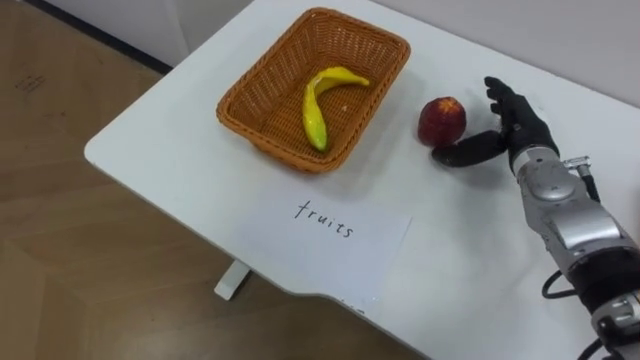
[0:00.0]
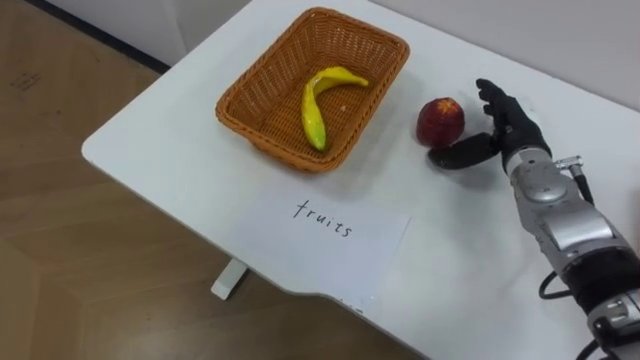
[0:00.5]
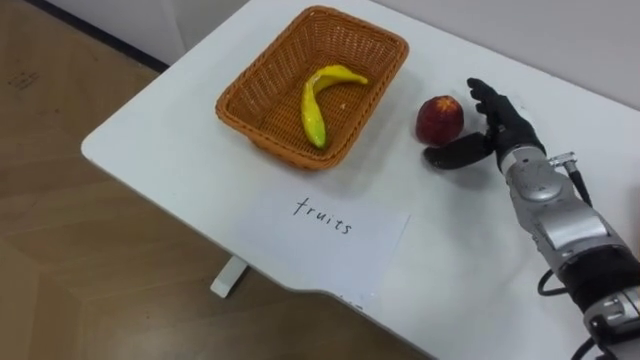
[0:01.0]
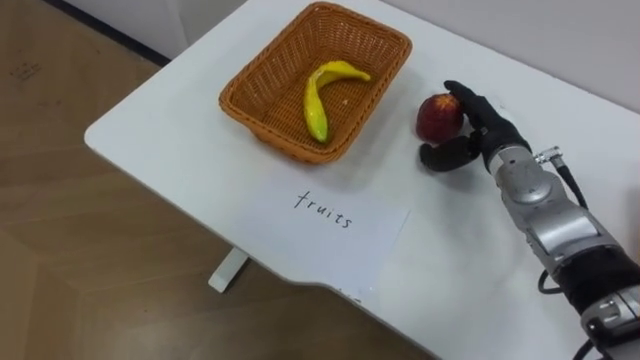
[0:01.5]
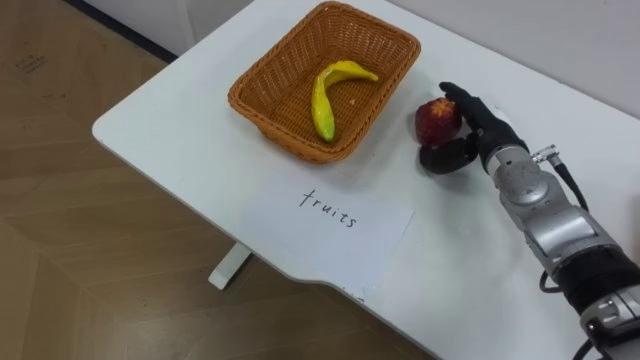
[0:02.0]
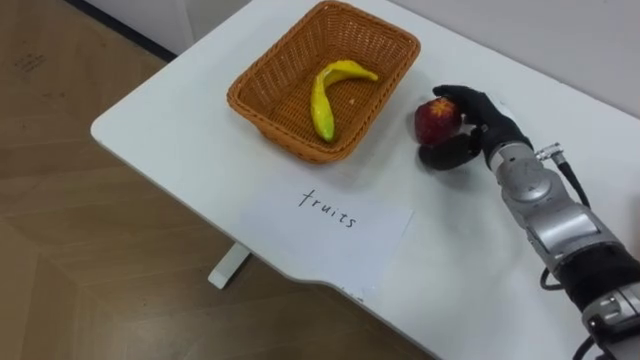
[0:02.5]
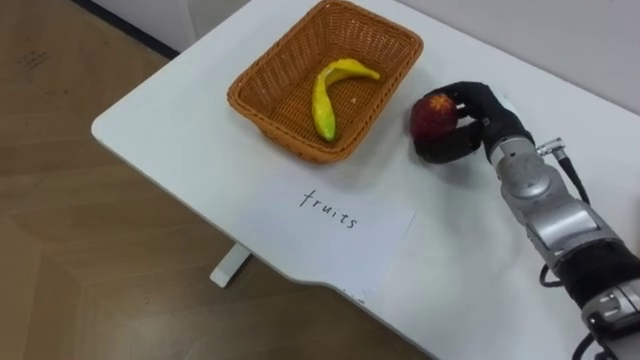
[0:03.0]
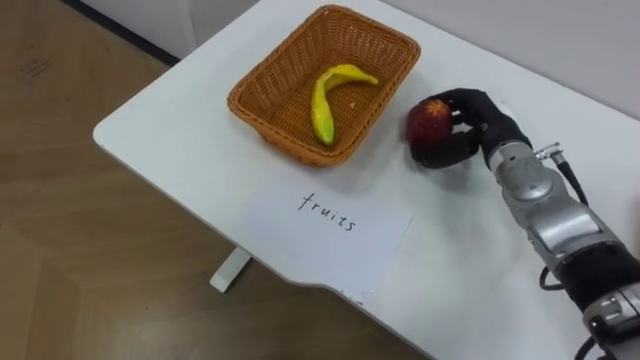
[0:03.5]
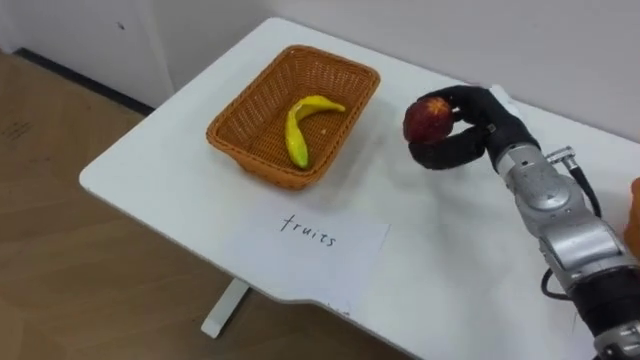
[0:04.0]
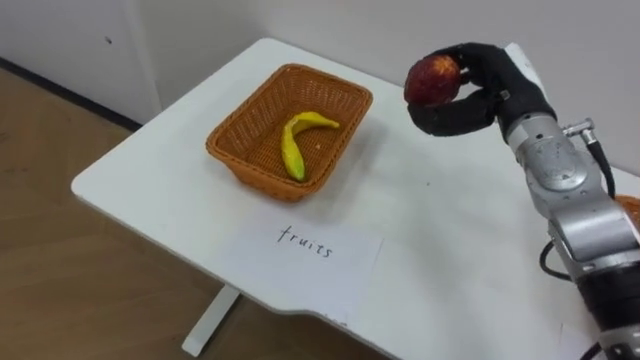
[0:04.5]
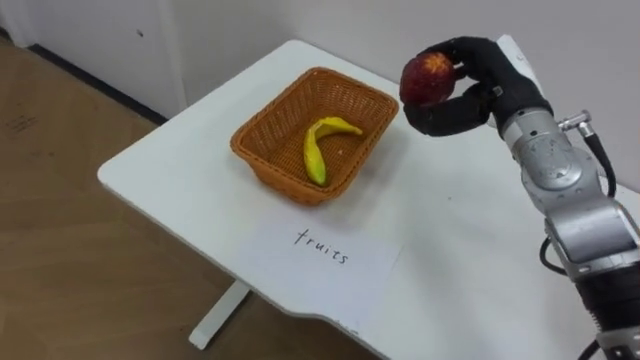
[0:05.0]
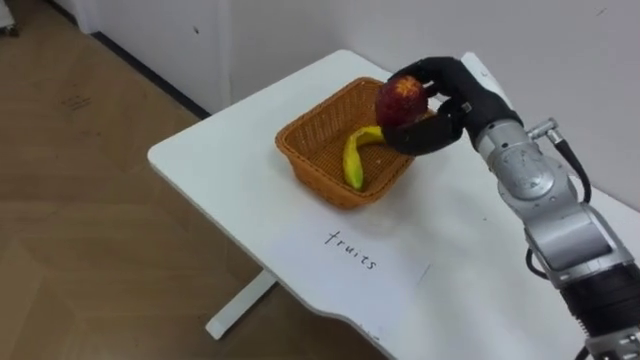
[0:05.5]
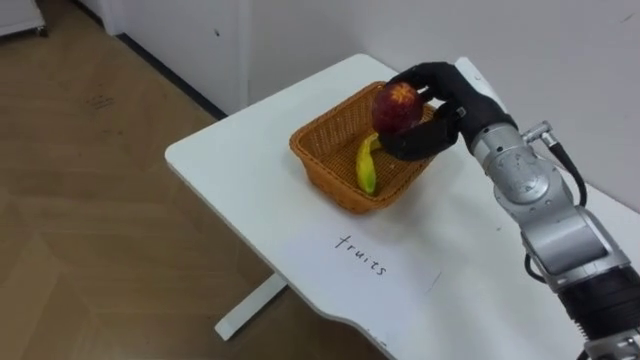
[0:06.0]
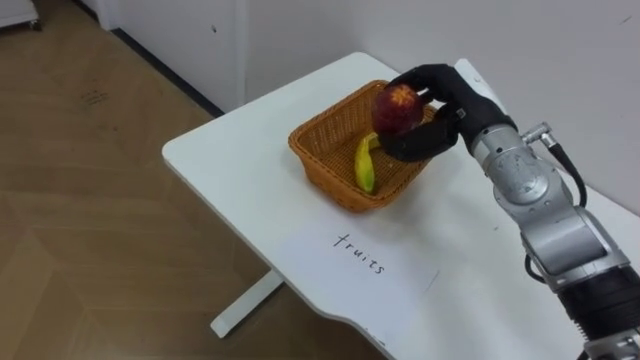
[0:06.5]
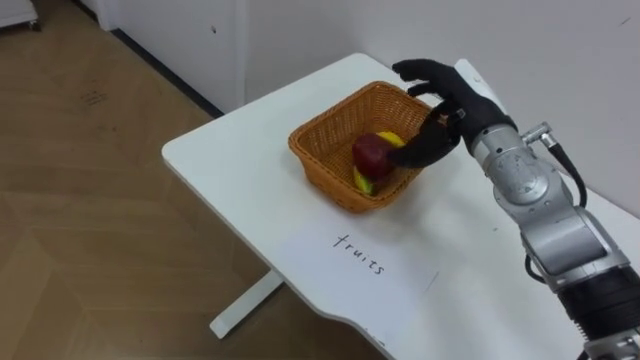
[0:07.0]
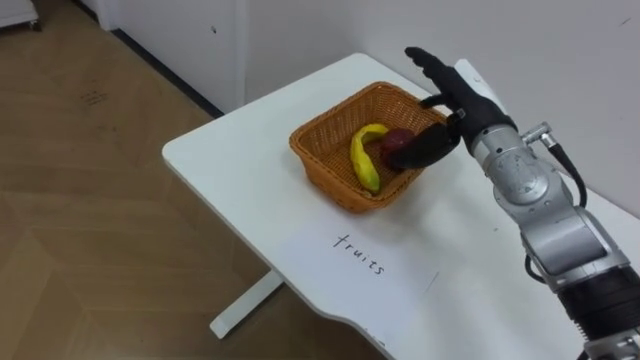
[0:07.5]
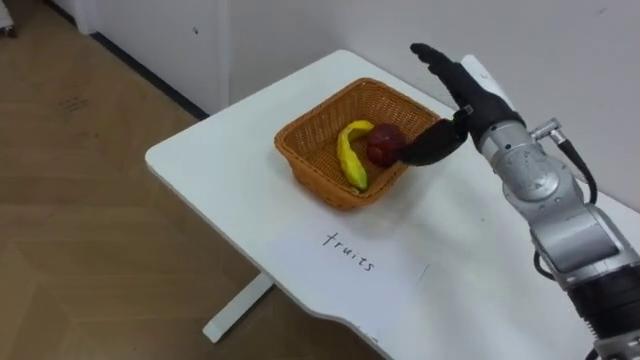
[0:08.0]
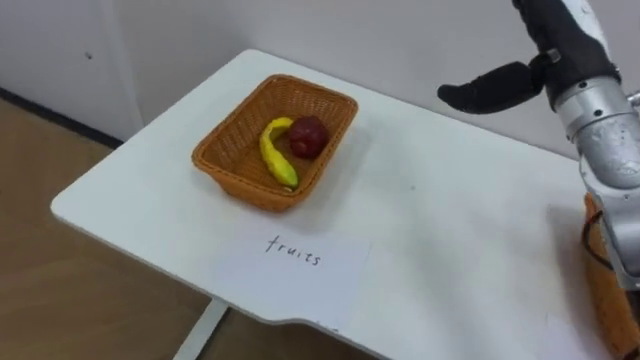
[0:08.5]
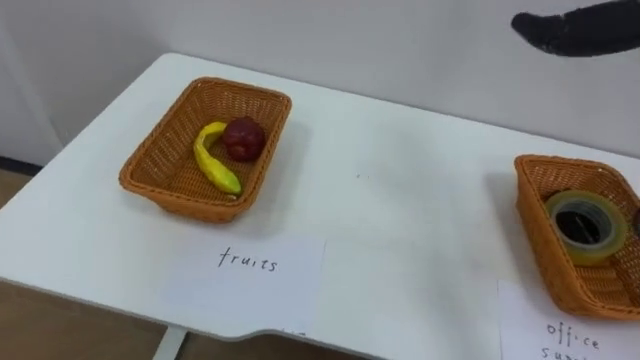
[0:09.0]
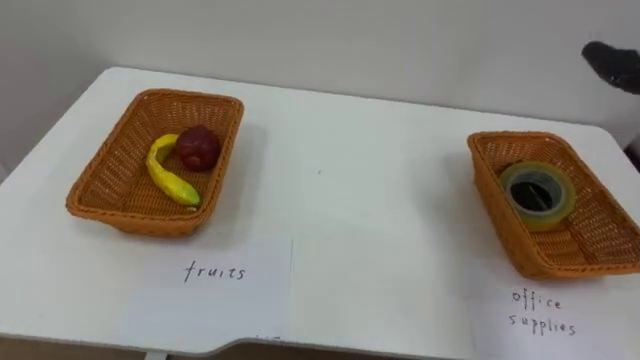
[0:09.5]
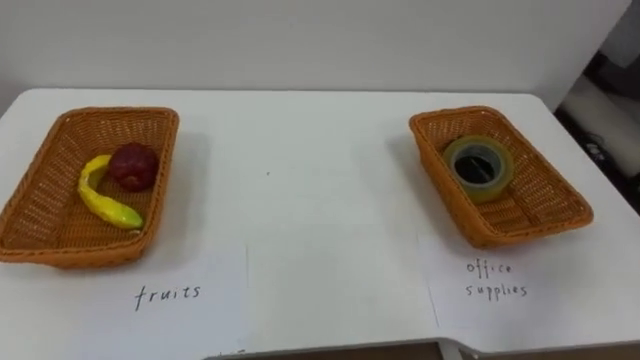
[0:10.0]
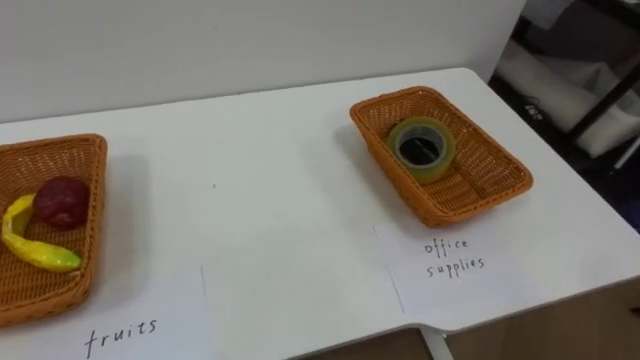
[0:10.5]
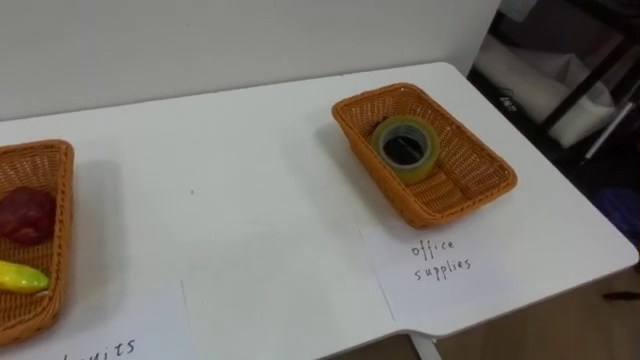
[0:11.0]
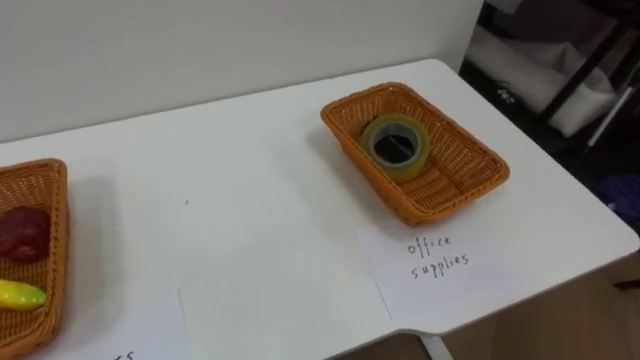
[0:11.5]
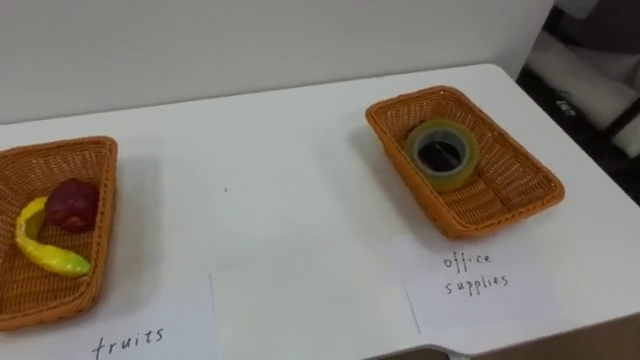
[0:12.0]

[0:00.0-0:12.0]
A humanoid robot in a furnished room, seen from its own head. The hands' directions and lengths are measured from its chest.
Task of the whole recording: Separate the items on the table and place them into the two baskets.
0:02.0 to 0:04.0: The right hand closes up.
0:04.0 to 0:06.0: The right hand shifts by some 5 cm.
0:06.0 to 0:08.0: The right hand opens.

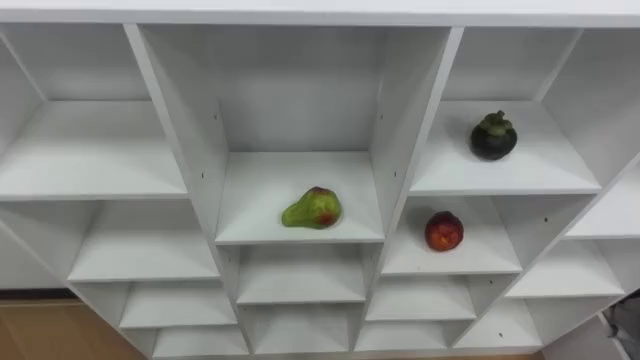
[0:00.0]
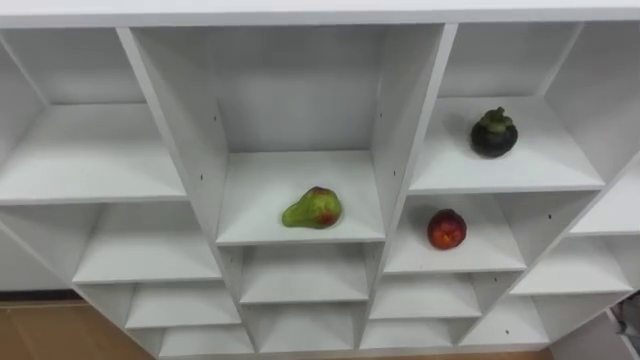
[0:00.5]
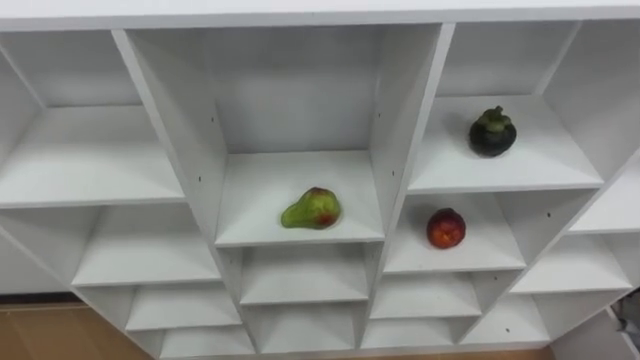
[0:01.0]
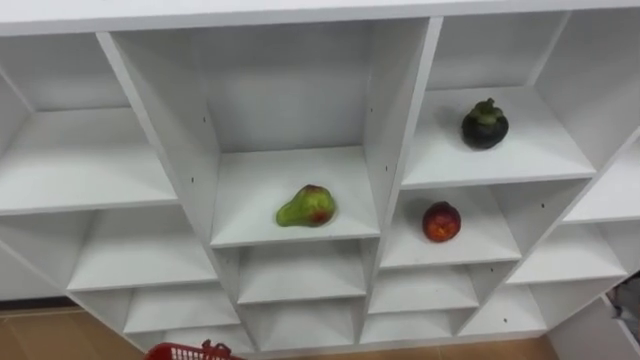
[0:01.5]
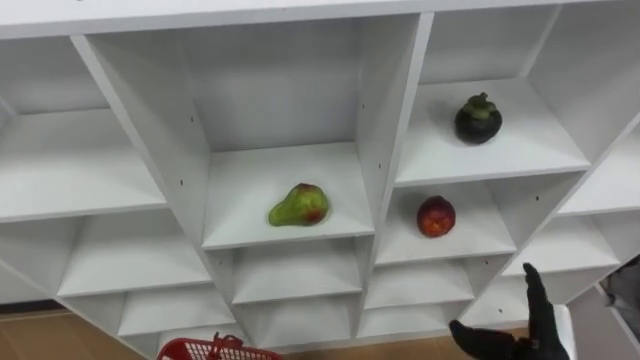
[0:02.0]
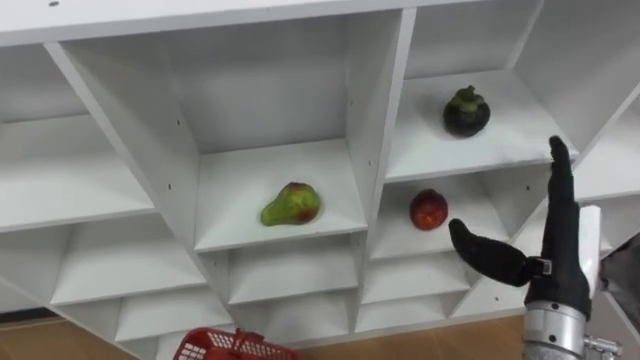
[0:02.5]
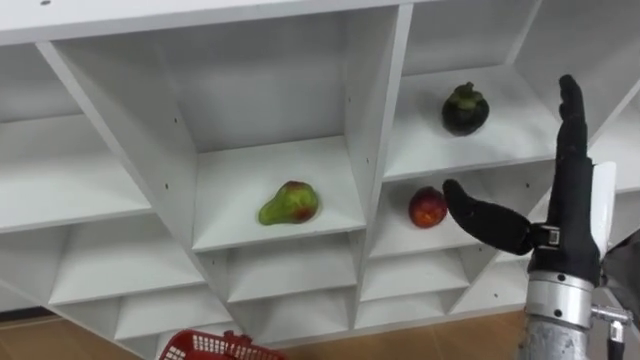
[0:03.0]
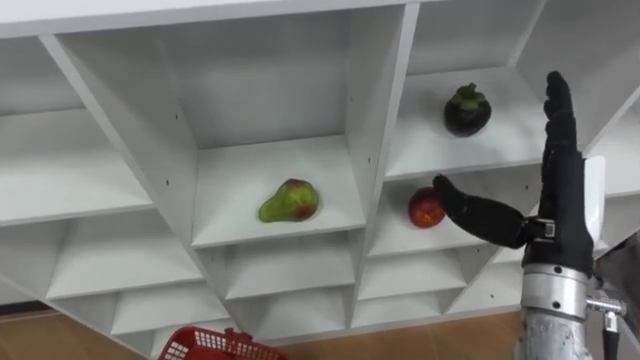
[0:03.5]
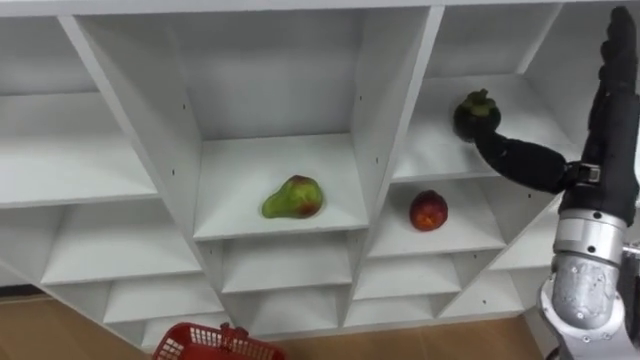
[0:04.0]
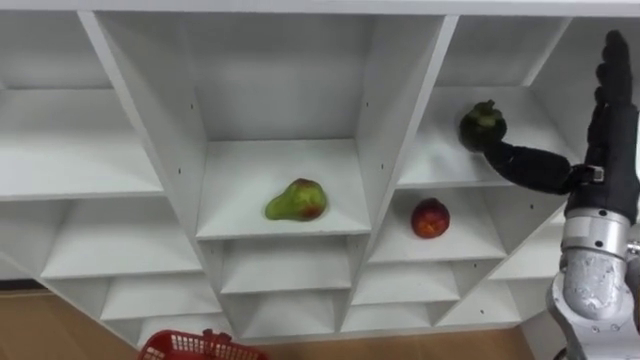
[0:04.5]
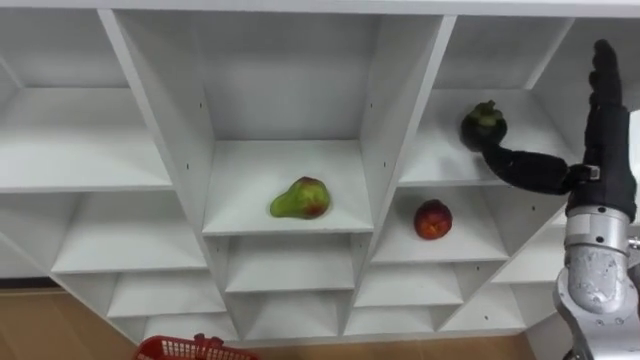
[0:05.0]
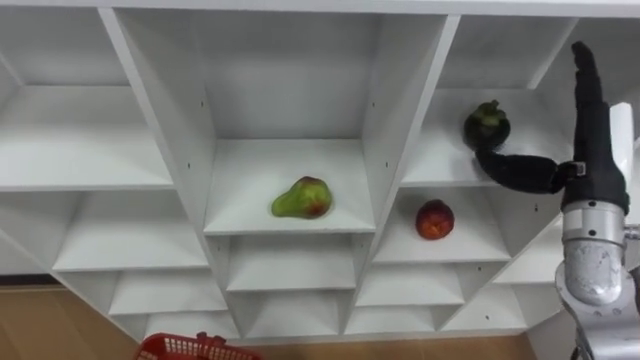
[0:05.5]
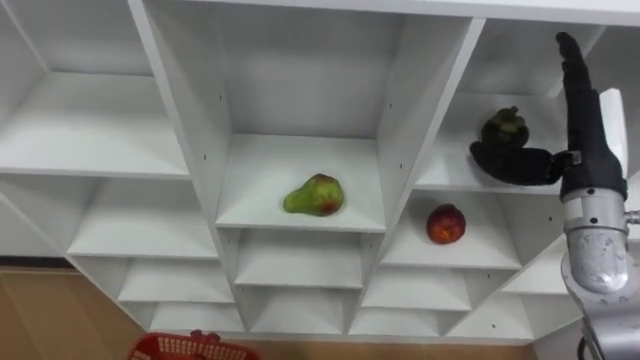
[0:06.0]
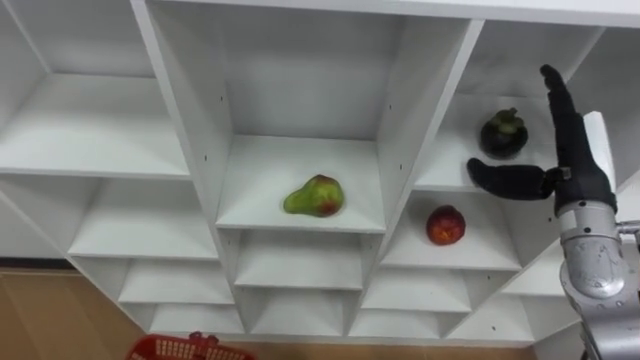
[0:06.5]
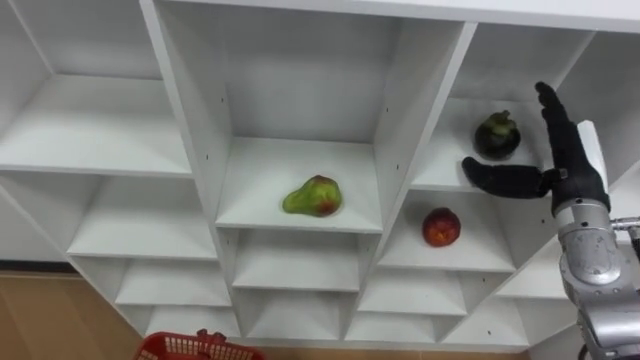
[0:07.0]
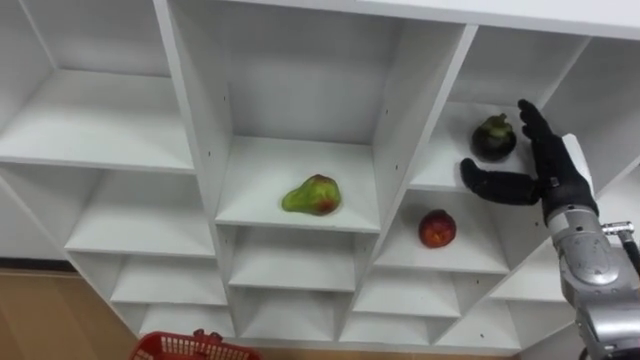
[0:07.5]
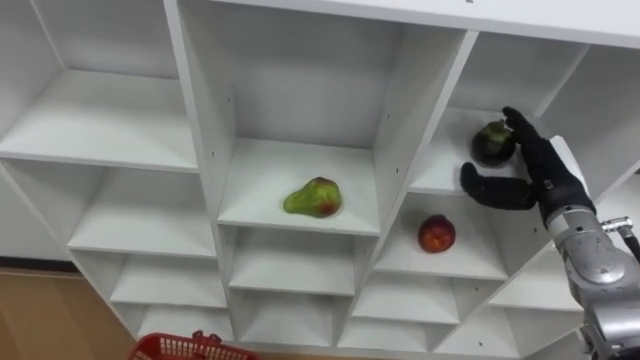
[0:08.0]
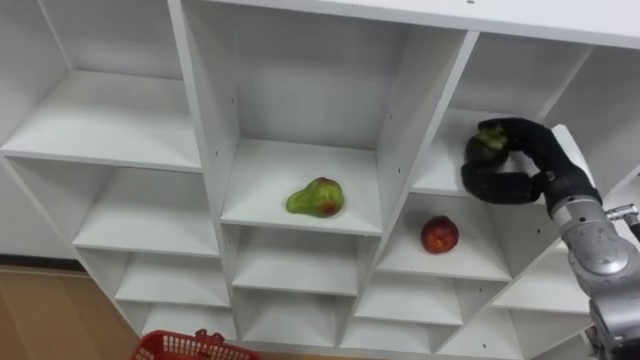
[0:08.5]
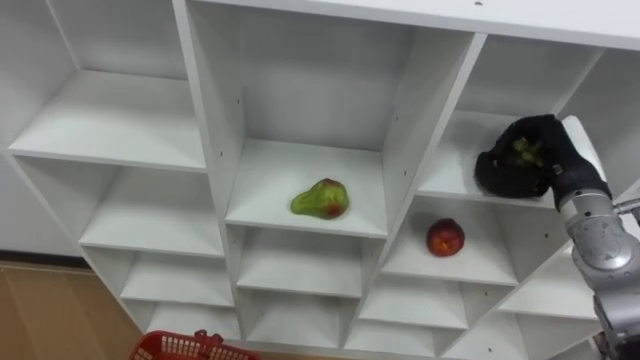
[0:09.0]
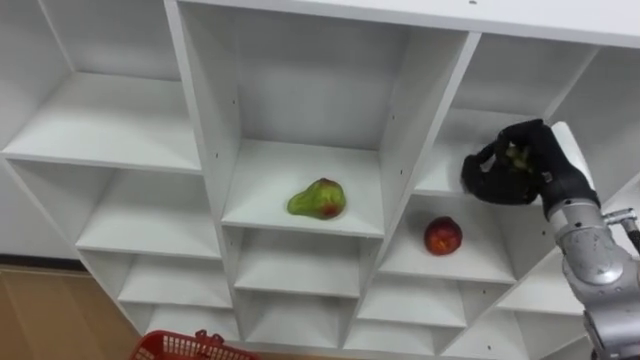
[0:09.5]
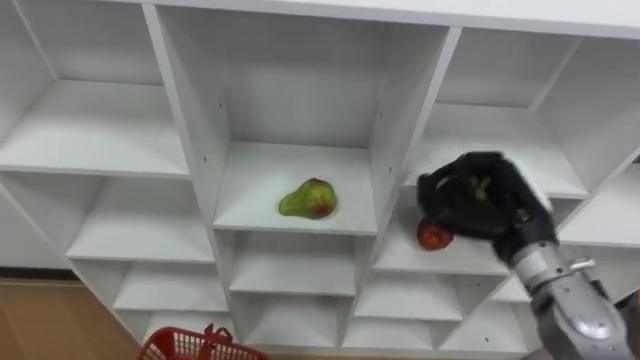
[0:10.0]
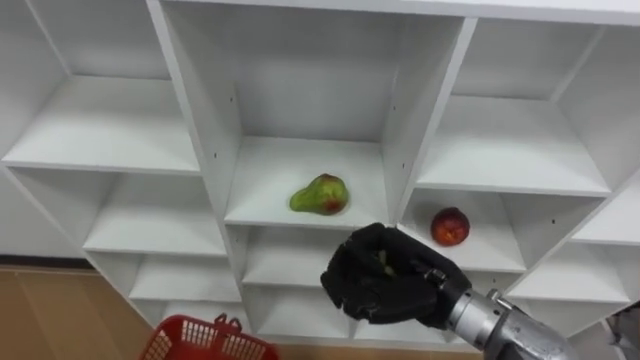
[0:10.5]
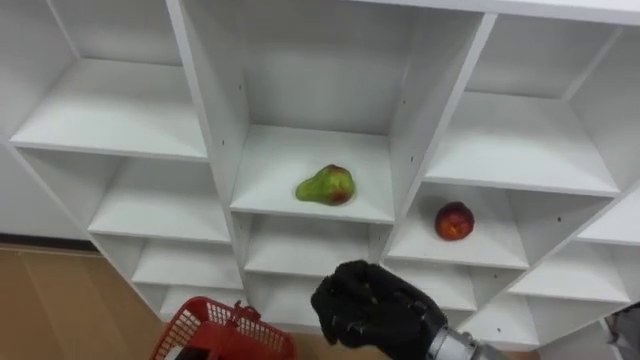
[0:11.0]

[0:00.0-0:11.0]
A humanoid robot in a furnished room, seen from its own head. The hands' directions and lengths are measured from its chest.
Task of the whole recording: Hold the basket and collect the fruits from 3 different cells of the closet into it.
0:02.0 to 0:03.5: The right hand travels upward and forward by about 20 cm.
0:03.5 to 0:05.5: The right hand heads forward and to the right, covering approximately 10 cm.
0:05.5 to 0:07.5: The right hand goes about 5 cm downward.
0:07.5 to 0:09.0: The right hand closes.
0:09.0 to 0:11.0: The right hand goes approximately 25 cm to the left and backward.
